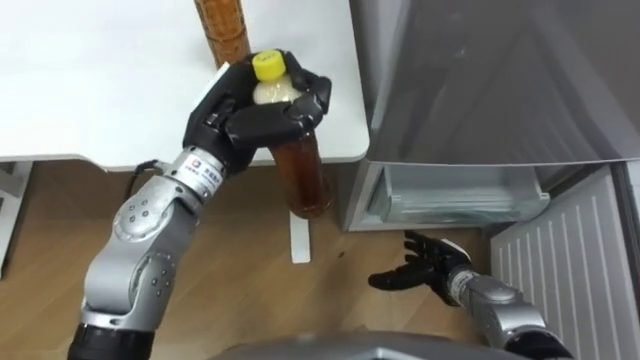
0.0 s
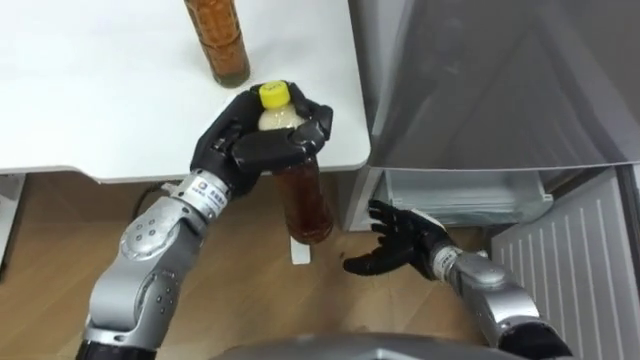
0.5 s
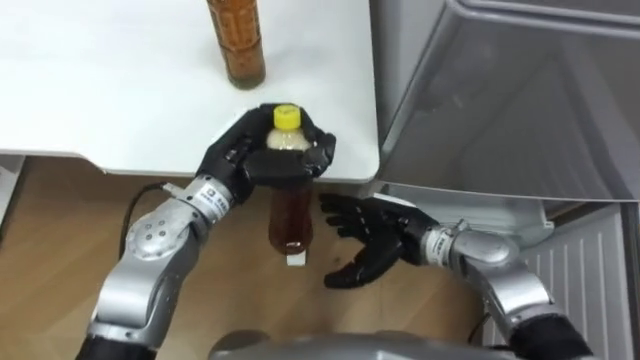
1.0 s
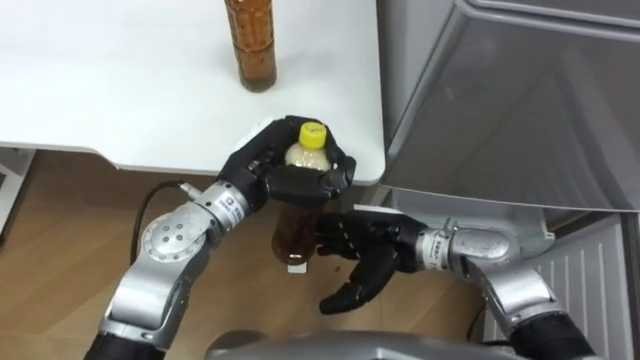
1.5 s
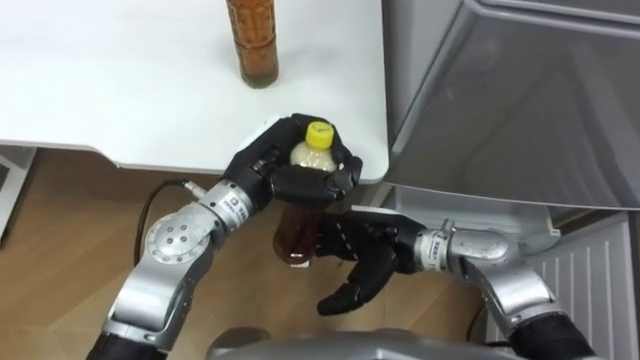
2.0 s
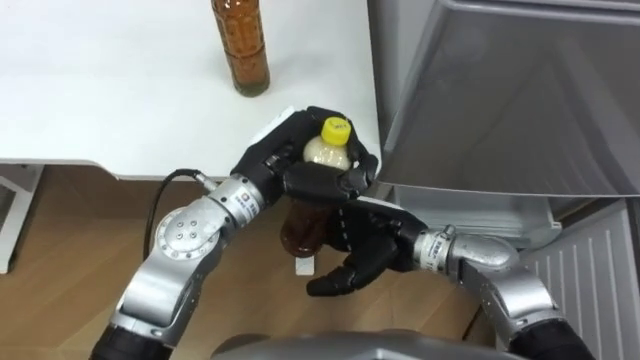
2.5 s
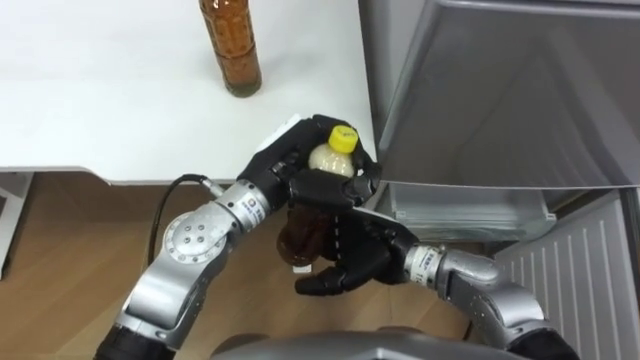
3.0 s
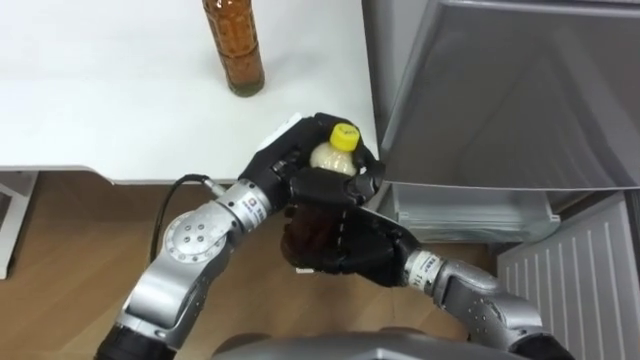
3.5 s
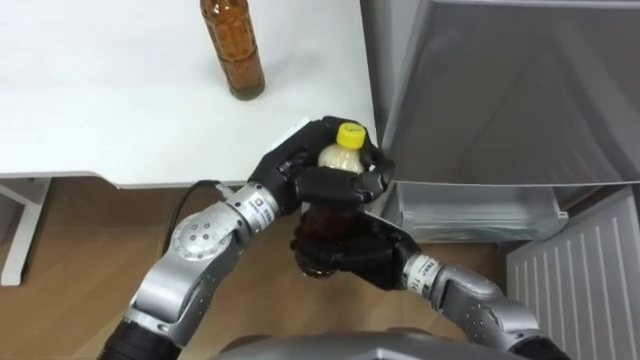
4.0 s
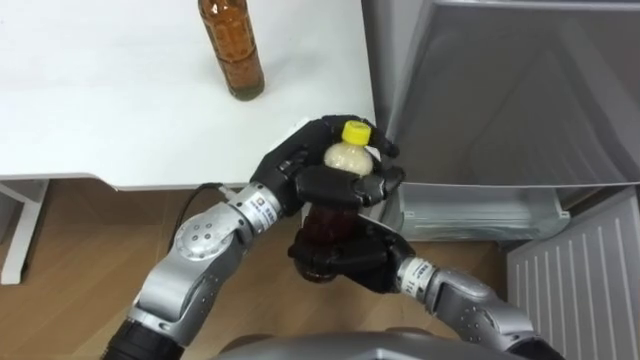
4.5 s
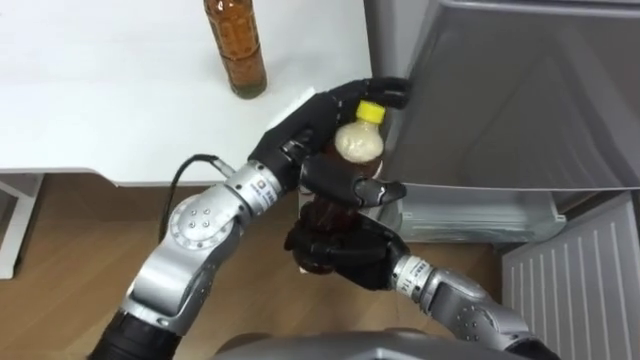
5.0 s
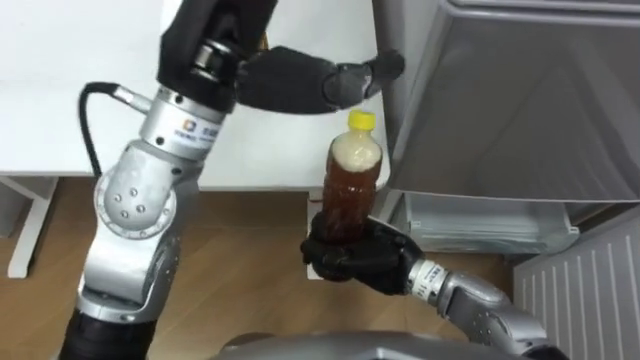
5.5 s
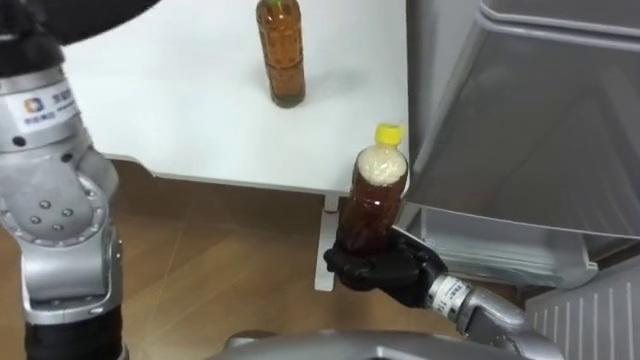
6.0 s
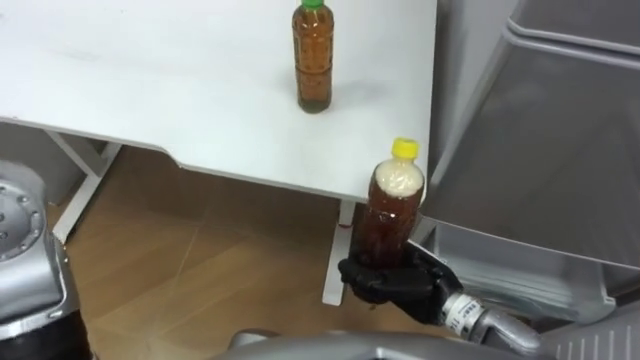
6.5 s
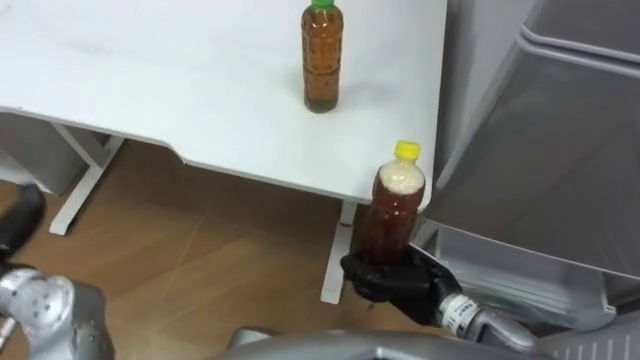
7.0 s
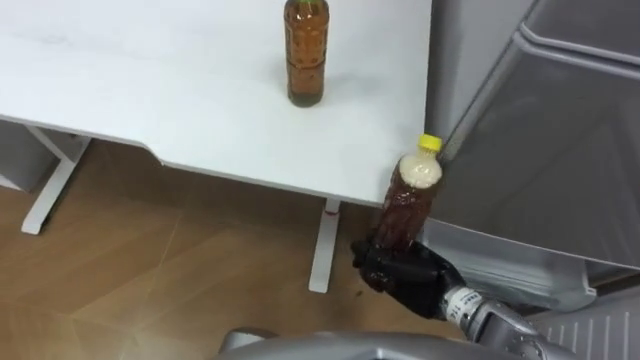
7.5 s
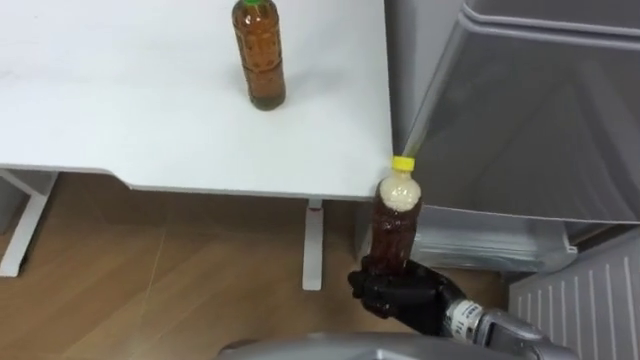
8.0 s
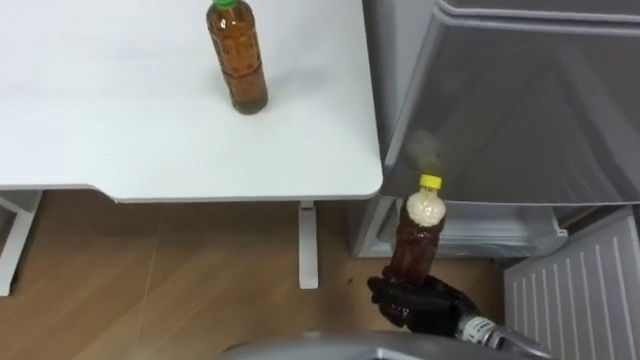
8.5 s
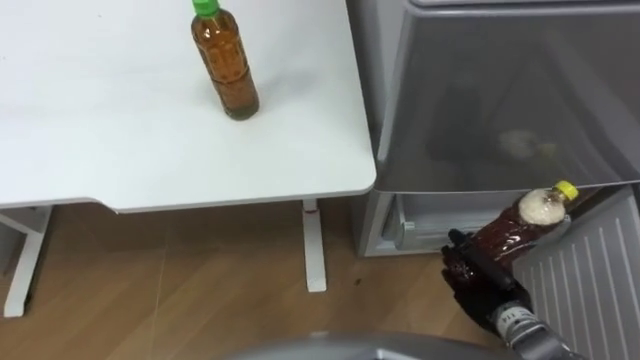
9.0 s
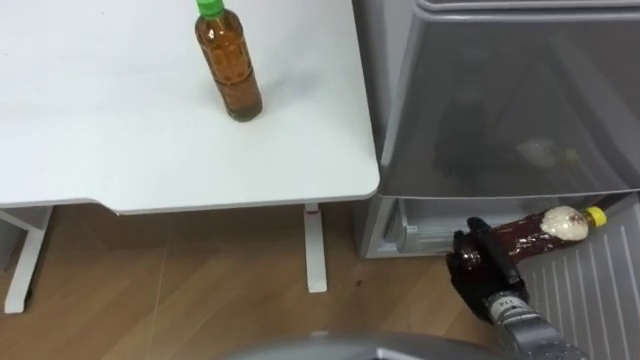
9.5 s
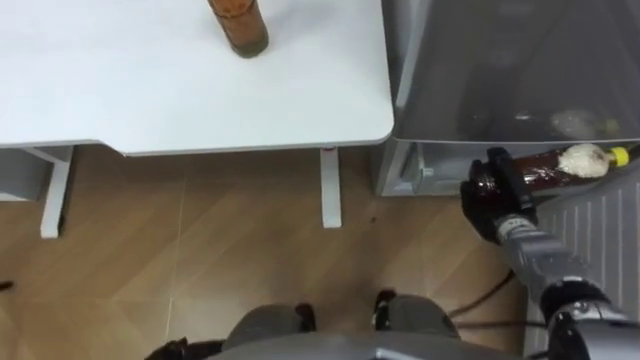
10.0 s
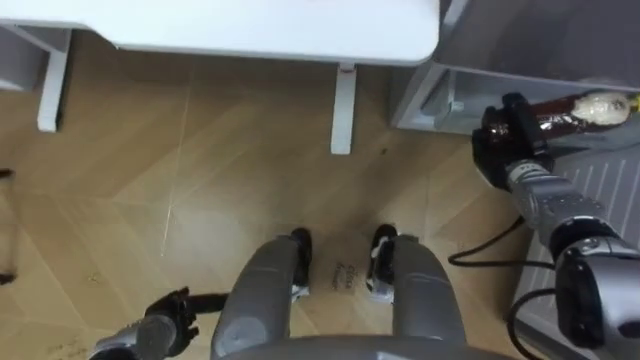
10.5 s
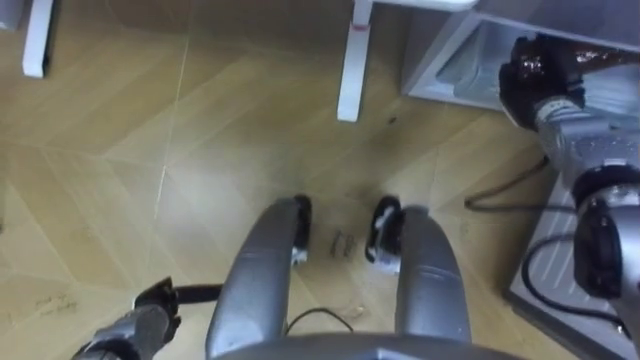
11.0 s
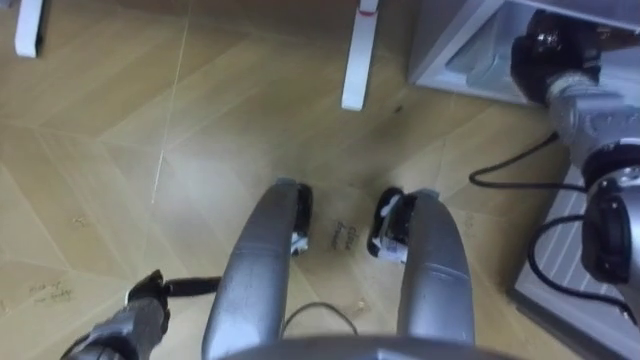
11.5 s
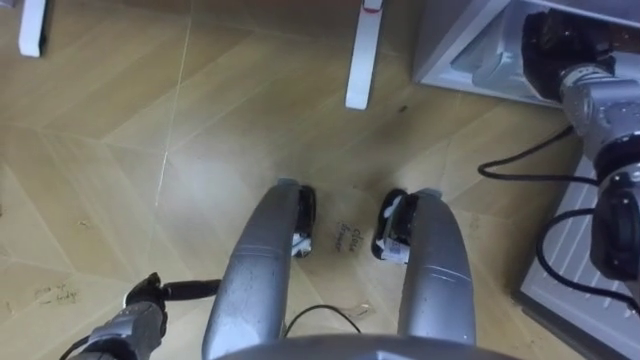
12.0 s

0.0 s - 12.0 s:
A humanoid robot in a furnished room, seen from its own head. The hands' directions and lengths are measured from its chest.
Task of the whole recording: Place the drink on the table on the bottom shelf of the refrigerator, then close the drawer and the refrigerator door.
0.0 s - 2.0 s: The left hand heads downward, covering some 5 cm, while the right hand moves upward and to the left, roughly 15 cm.
2.0 s - 4.0 s: The right hand closes up.
6.0 s - 8.0 s: The right hand ends up roughly 5 cm from where it was.
8.0 s - 10.0 s: The right hand goes roughly 15 cm to the right and forward.
10.0 s - 12.0 s: The right hand moves upward and forward, roughly 20 cm, and opens.

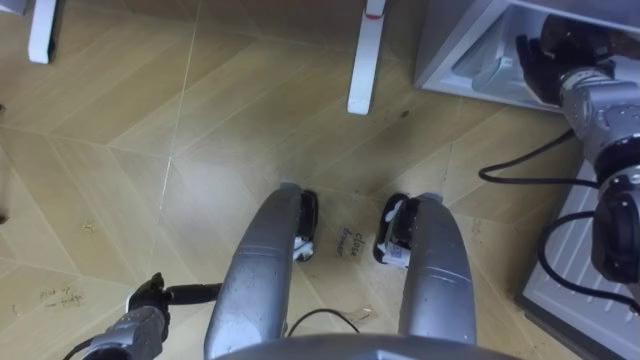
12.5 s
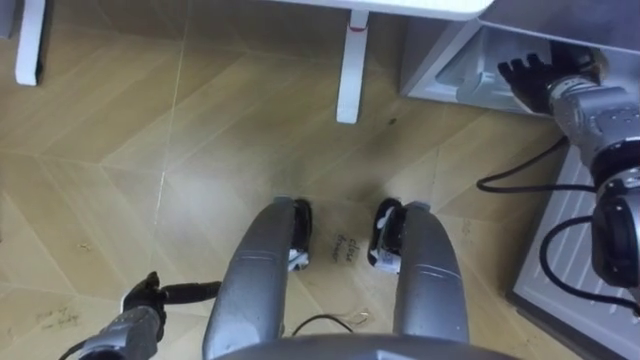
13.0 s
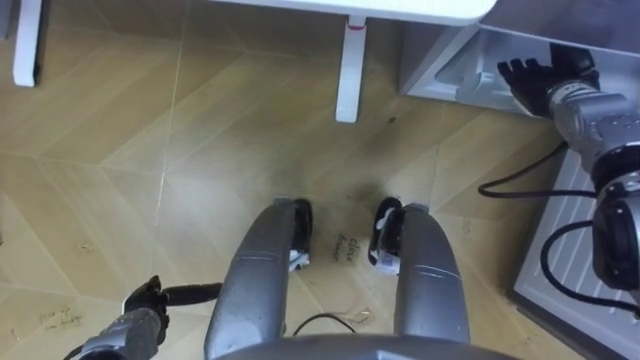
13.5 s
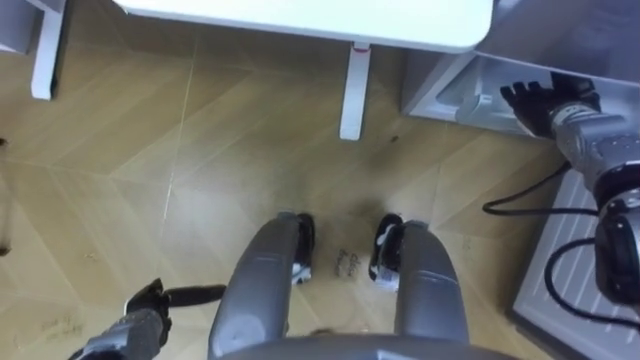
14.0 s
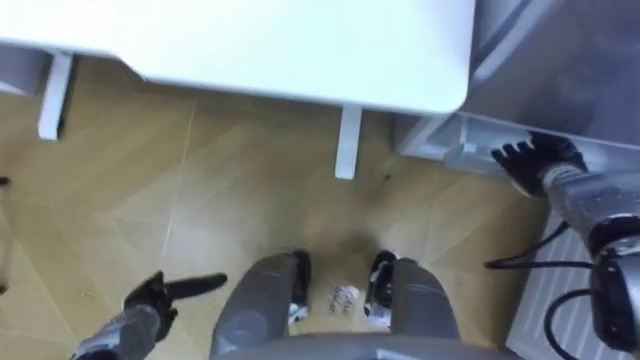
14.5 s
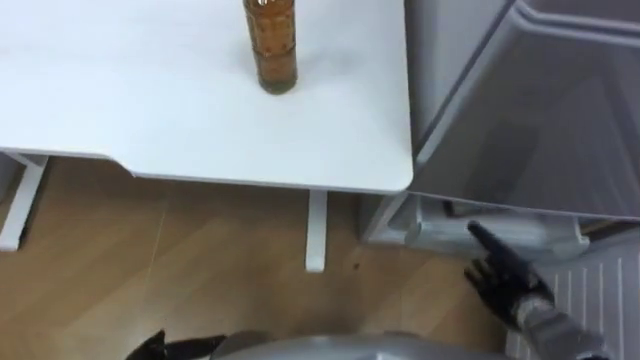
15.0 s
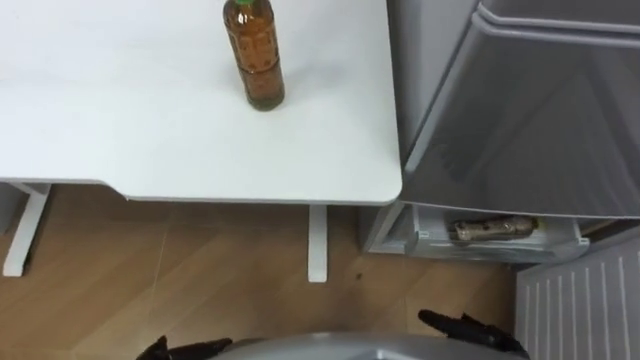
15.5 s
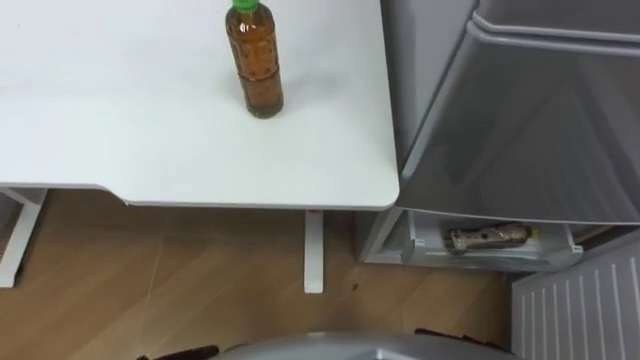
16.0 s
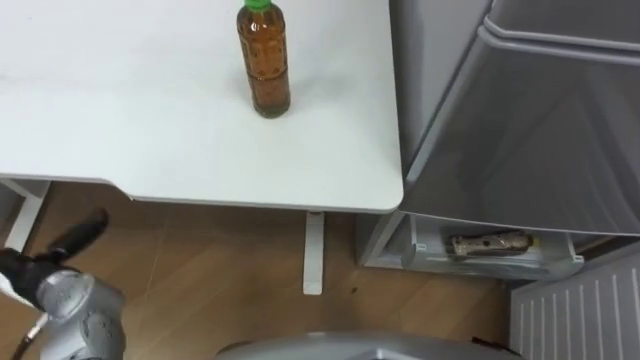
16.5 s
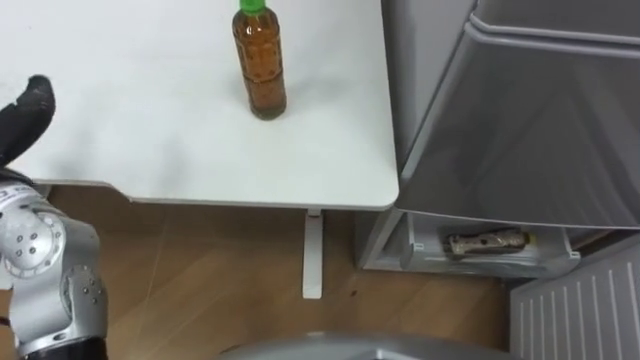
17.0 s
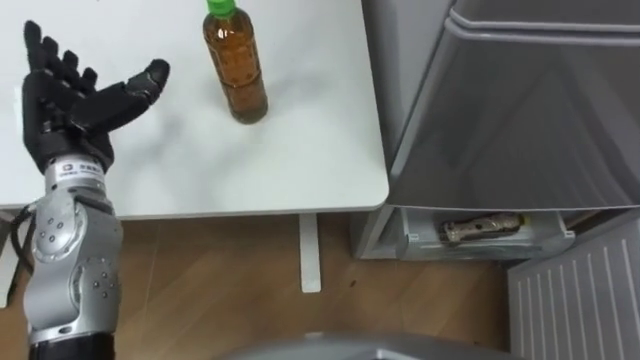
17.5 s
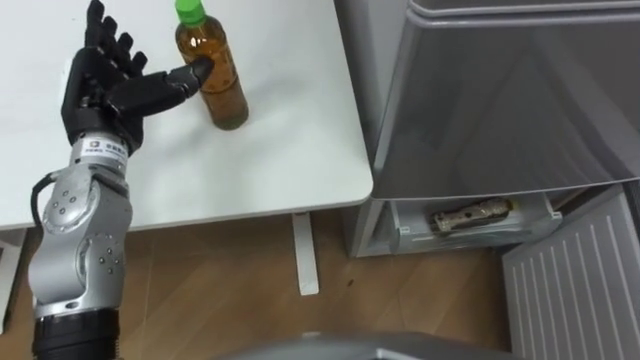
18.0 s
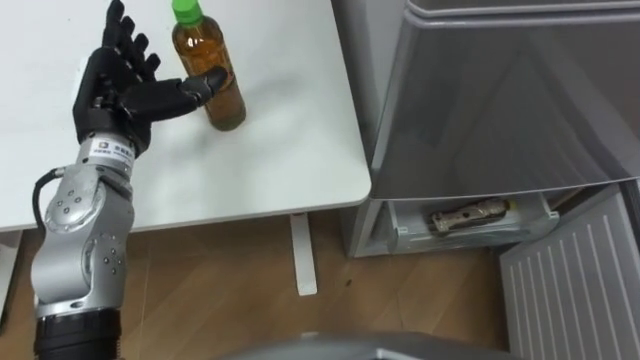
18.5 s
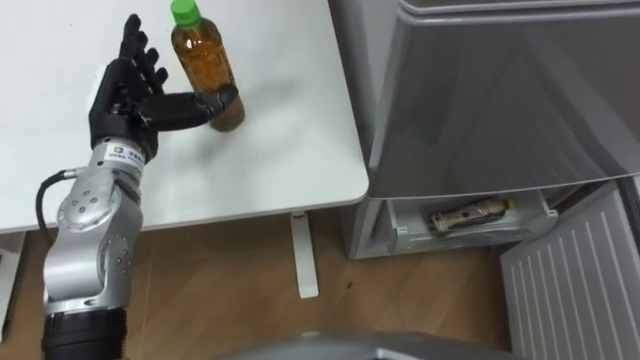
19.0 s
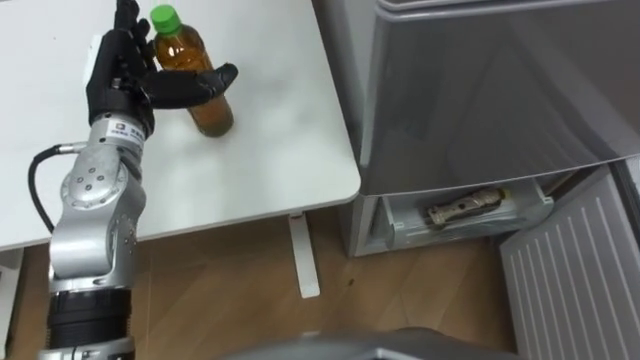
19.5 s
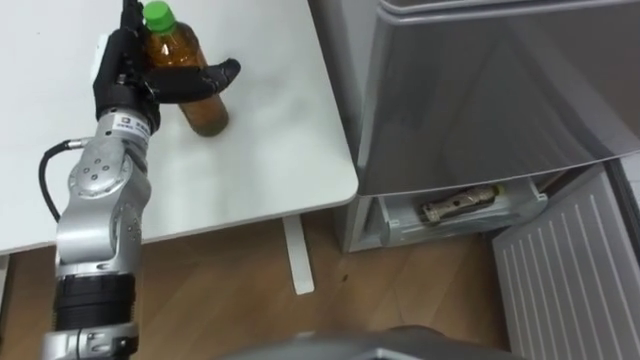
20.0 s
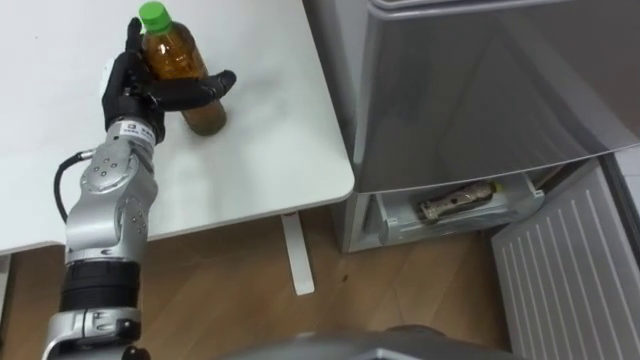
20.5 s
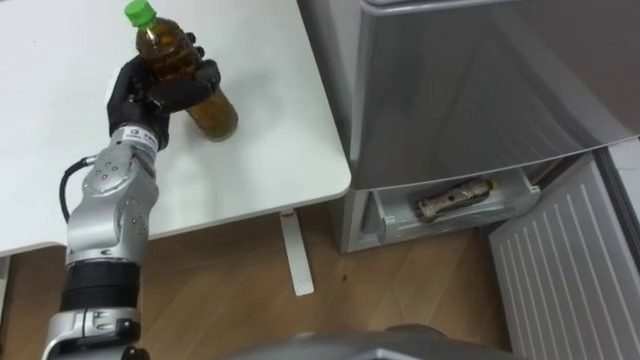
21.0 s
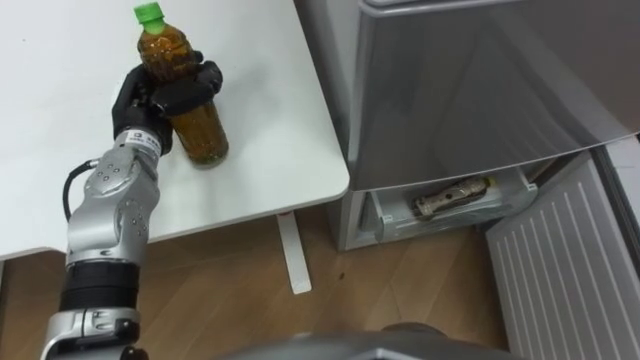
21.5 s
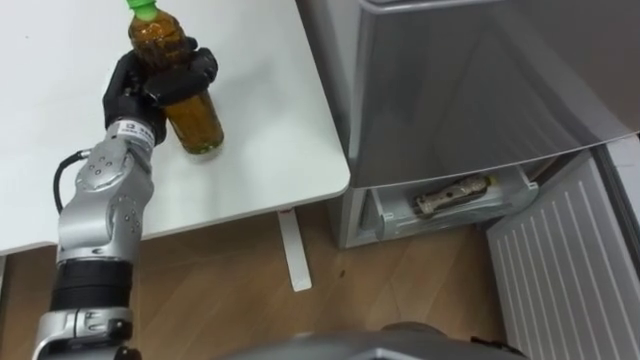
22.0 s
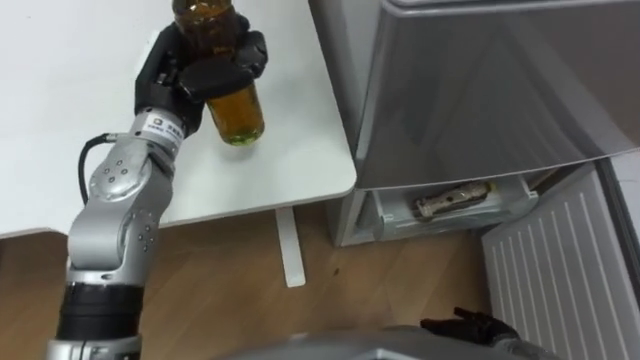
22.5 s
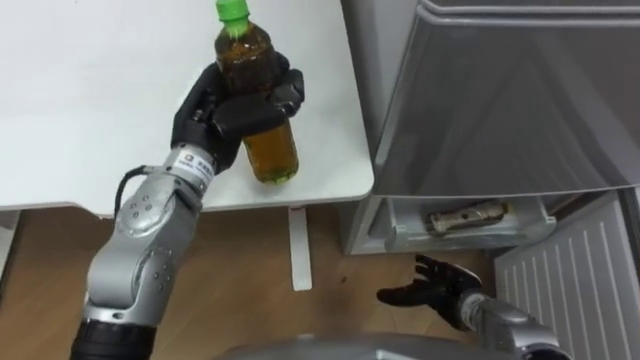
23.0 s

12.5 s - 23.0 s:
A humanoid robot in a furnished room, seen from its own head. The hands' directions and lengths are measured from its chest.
Task of the whole recording: Place the drink on the table on the bottom shelf of the refrigerator, then close the drawer and the refrigerator door.
12.5 s - 14.5 s: The right hand travels downward and backward by some 15 cm.
19.0 s - 21.0 s: The left hand closes its fingers.
21.0 s - 23.0 s: The left hand moves to the right, approximately 10 cm, and closes its fingers.
